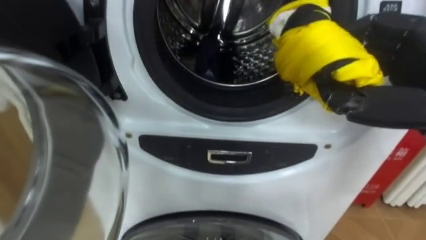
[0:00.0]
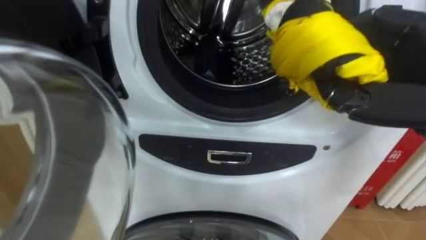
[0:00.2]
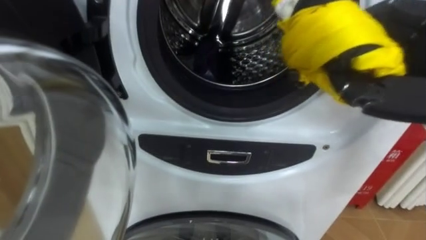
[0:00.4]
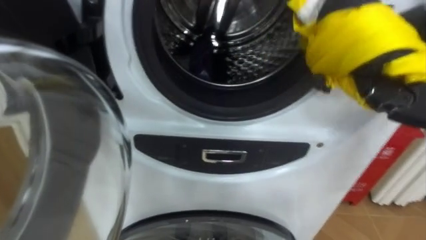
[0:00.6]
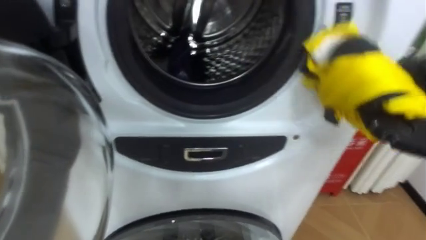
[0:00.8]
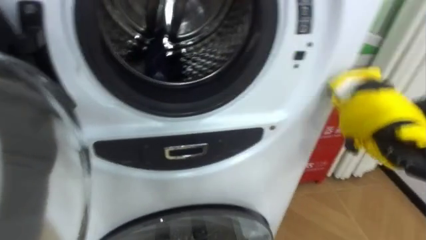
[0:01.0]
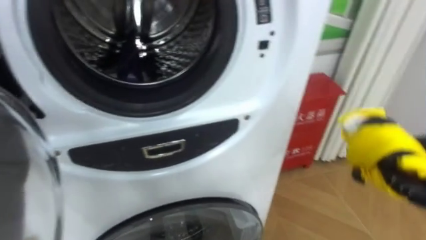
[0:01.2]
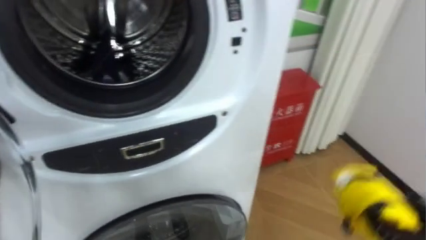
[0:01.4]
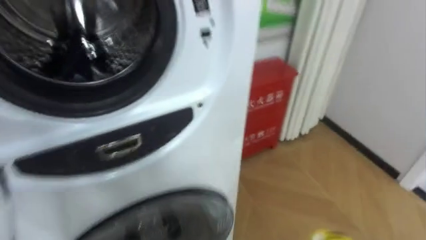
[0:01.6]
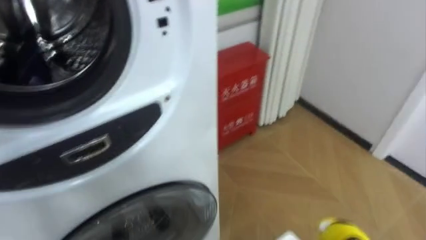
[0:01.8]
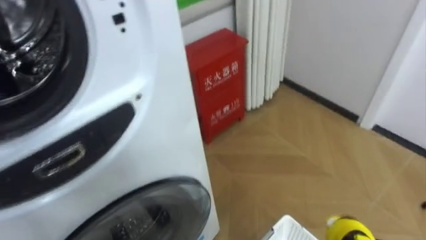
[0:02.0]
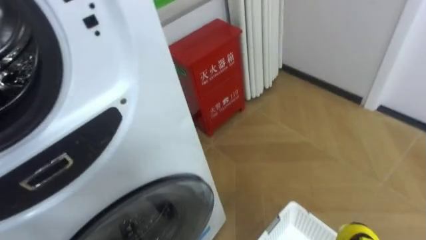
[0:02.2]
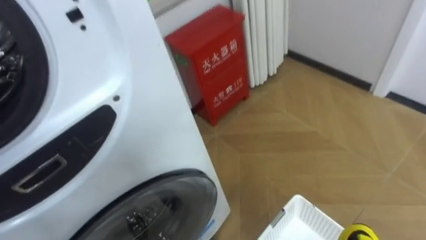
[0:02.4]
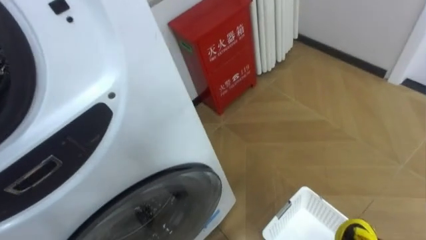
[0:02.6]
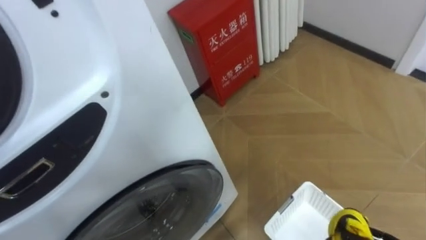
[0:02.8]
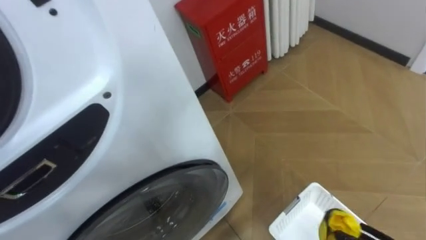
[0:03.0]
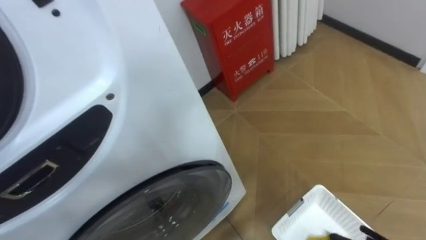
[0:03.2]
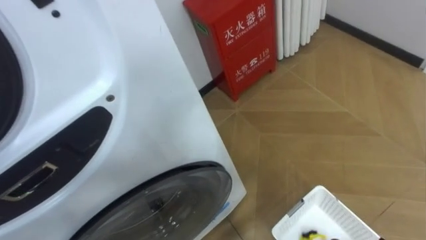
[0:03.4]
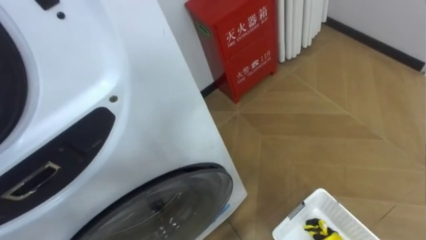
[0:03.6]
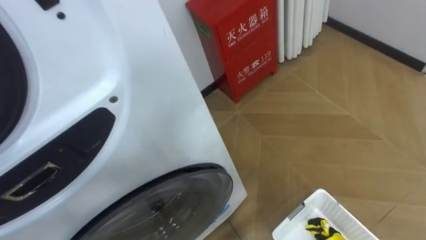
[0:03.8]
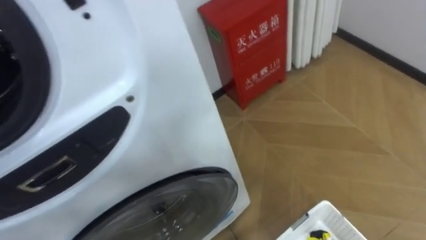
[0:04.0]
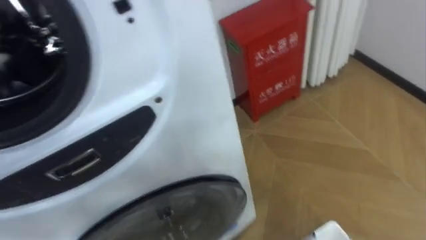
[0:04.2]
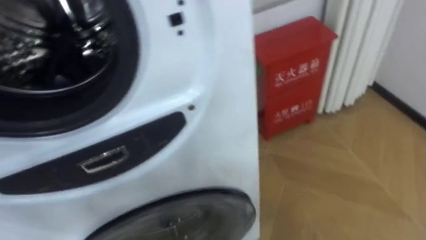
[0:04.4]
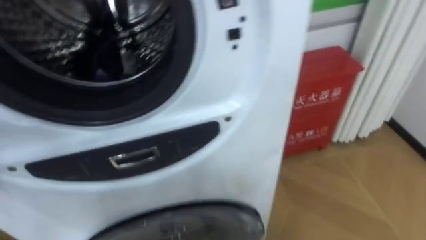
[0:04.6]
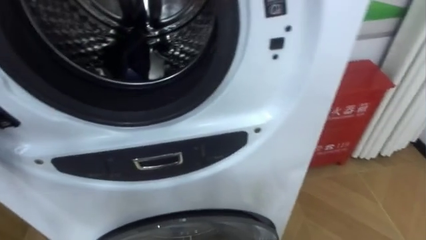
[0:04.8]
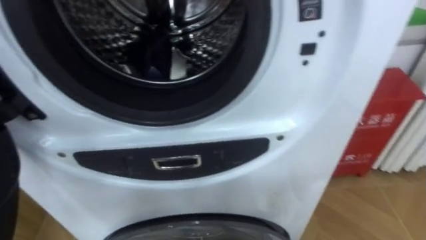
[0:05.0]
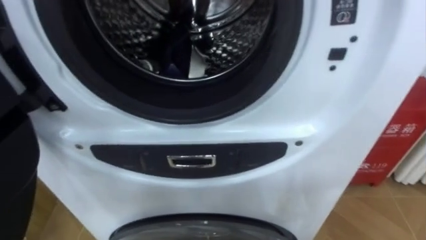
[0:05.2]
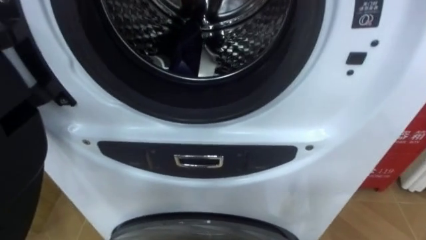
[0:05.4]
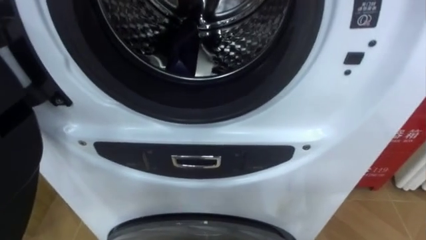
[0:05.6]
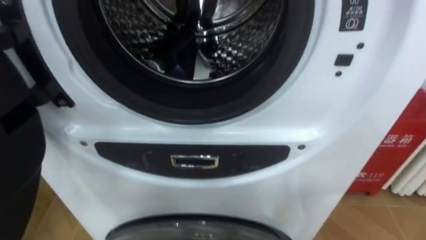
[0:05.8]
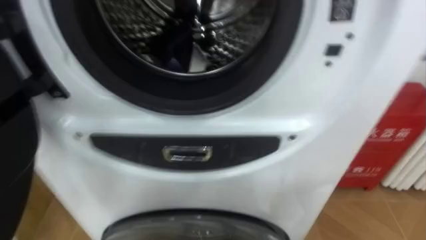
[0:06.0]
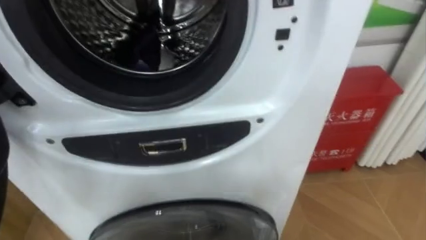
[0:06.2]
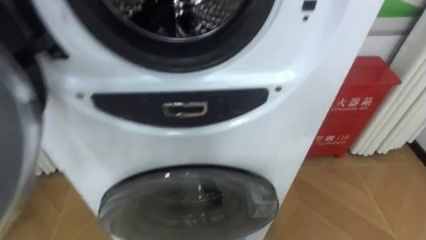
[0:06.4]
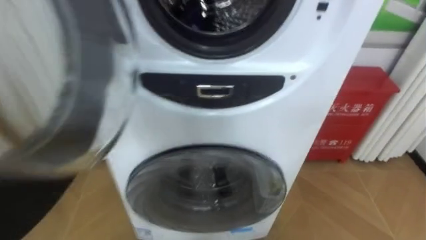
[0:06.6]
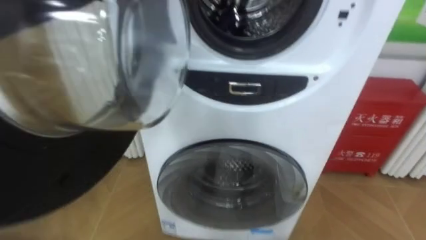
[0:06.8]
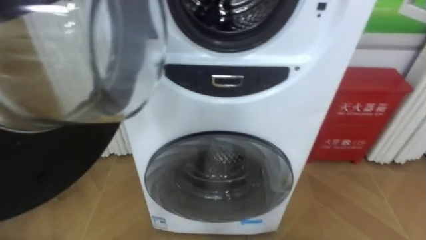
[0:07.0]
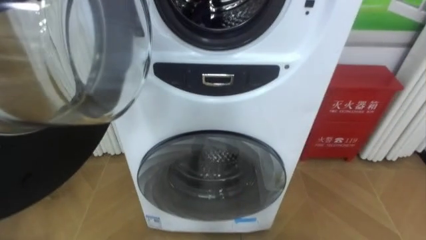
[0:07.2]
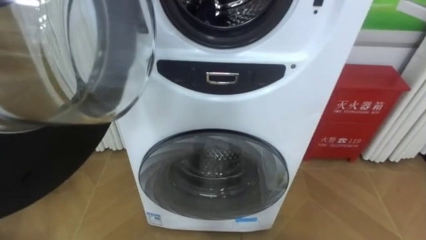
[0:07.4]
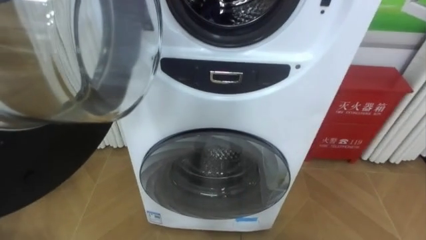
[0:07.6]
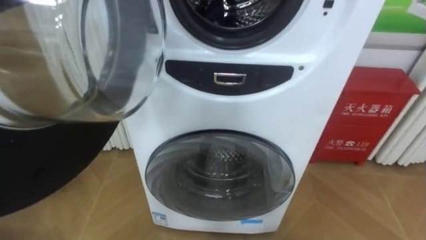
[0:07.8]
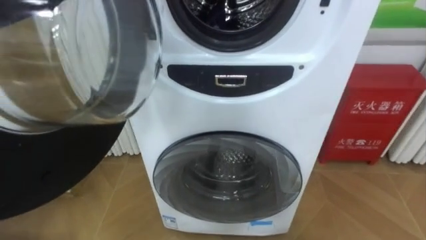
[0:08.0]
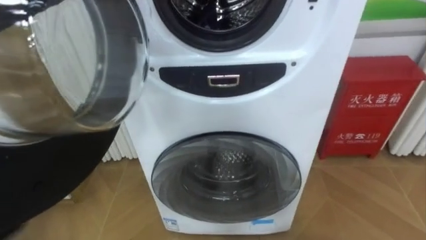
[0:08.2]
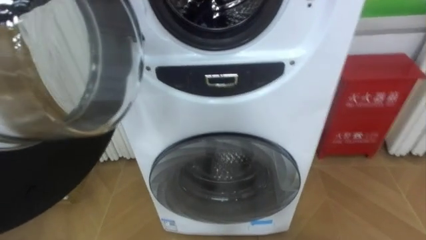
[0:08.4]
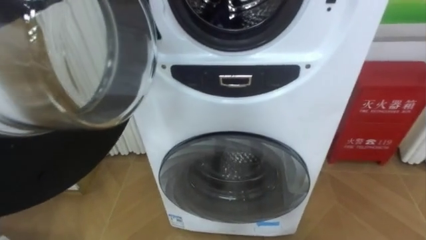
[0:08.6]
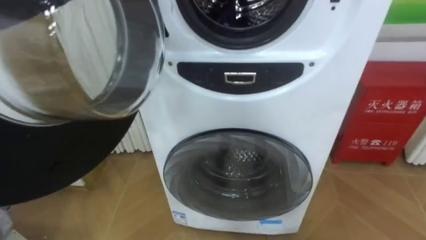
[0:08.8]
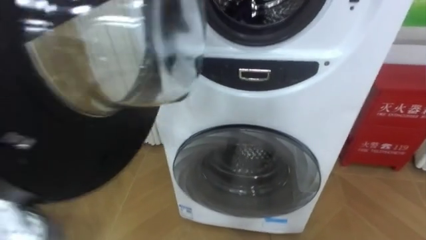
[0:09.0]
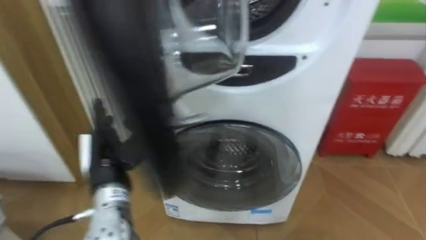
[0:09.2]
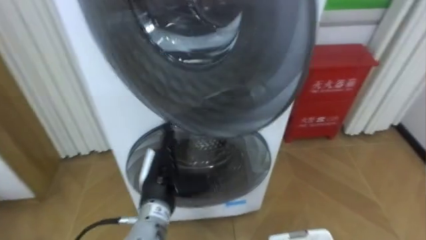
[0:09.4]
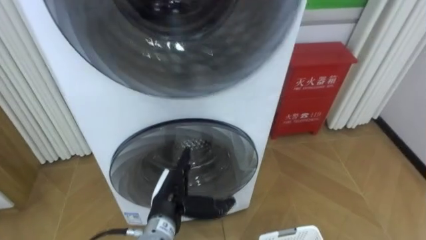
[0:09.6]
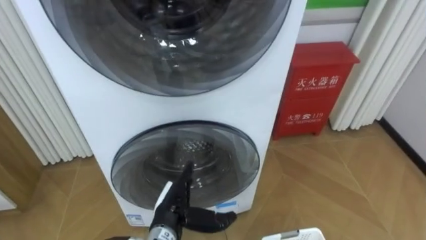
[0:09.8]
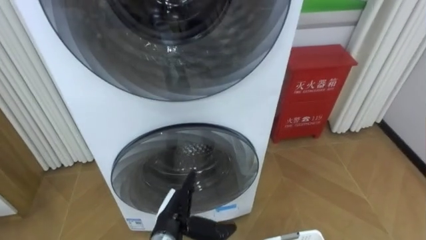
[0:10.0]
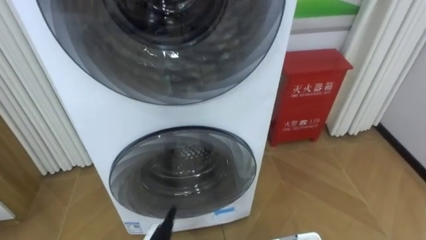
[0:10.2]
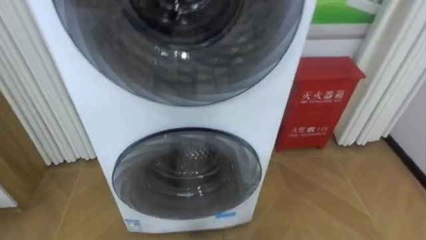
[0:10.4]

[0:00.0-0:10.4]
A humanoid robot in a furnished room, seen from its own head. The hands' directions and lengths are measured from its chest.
Task of the whole recording: Open the washing machine door, take out the yellow clothes, place them in the box on the right, and close the washing machine door.
0:00.0 to 0:01.4: The robot rotates about 20 degrees to its right.

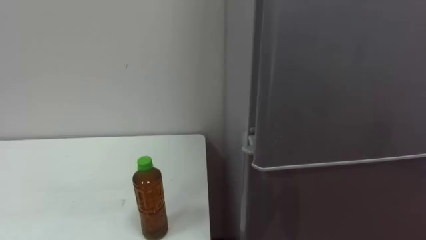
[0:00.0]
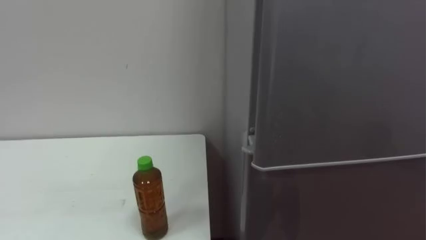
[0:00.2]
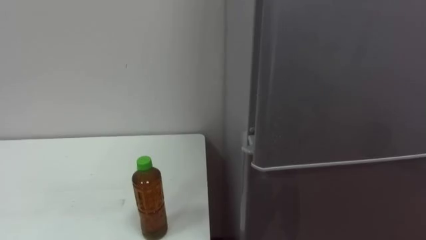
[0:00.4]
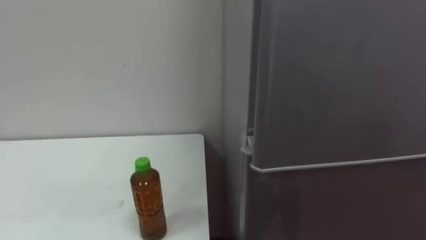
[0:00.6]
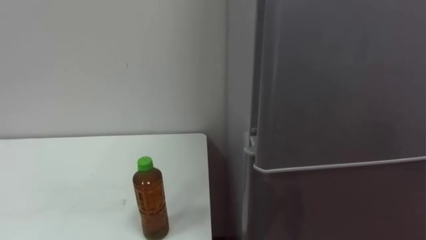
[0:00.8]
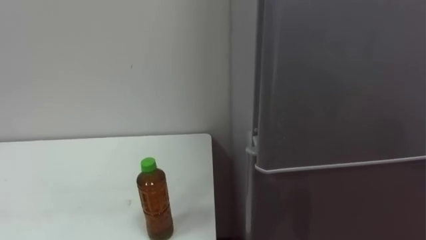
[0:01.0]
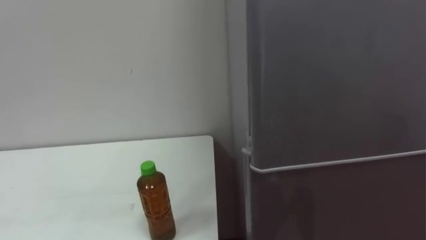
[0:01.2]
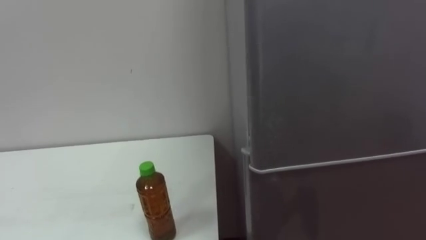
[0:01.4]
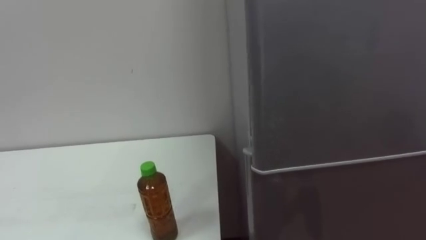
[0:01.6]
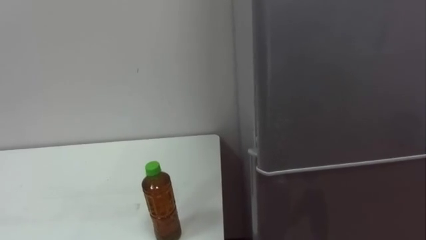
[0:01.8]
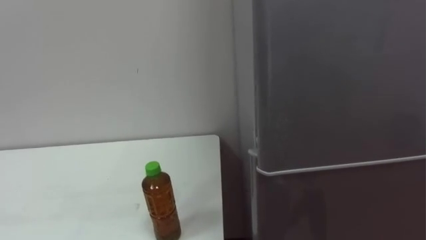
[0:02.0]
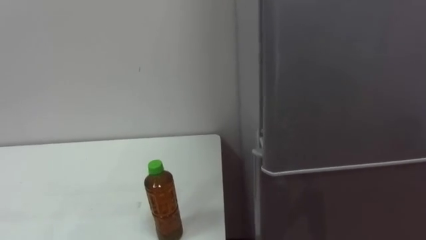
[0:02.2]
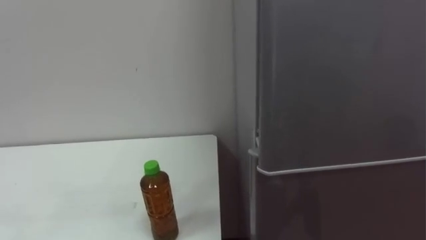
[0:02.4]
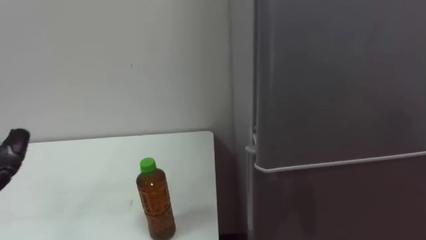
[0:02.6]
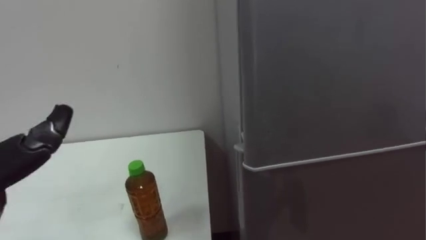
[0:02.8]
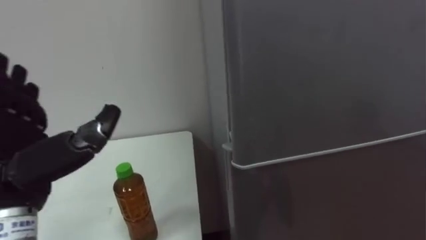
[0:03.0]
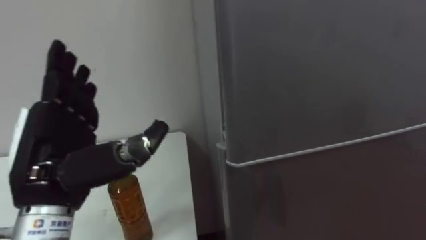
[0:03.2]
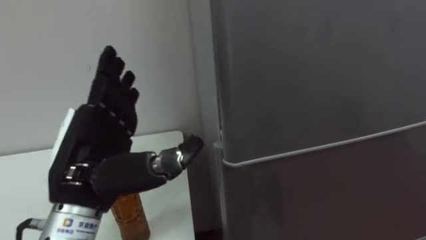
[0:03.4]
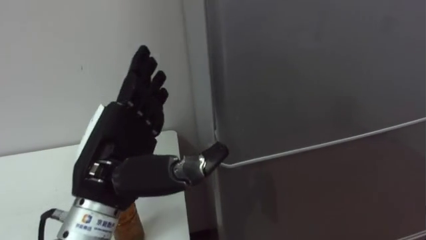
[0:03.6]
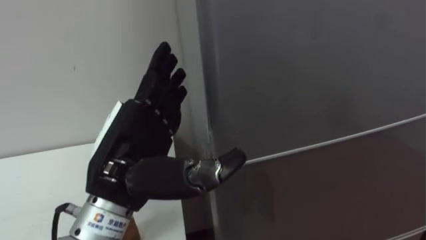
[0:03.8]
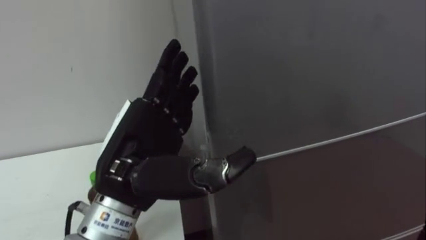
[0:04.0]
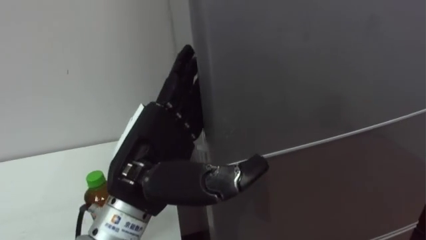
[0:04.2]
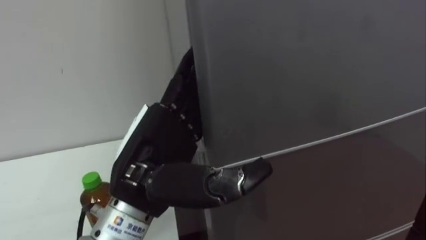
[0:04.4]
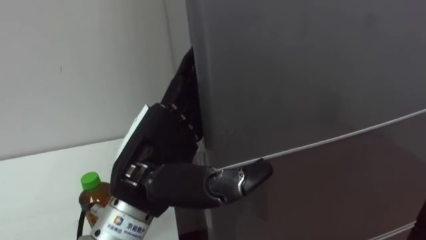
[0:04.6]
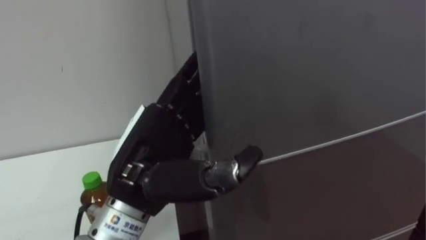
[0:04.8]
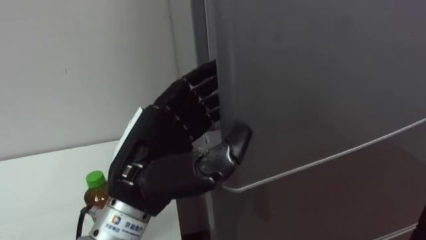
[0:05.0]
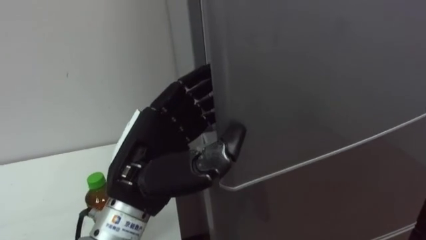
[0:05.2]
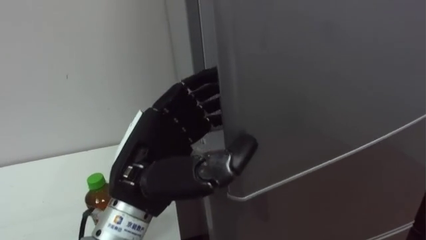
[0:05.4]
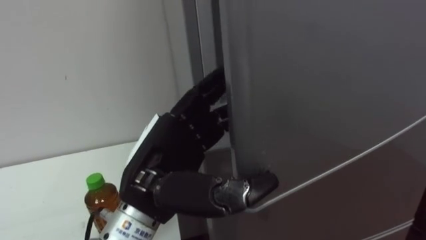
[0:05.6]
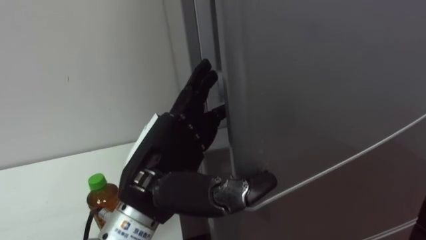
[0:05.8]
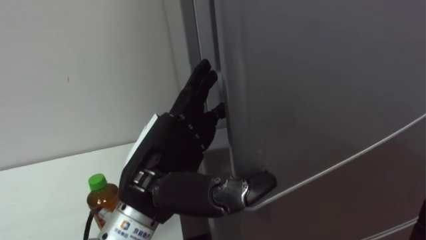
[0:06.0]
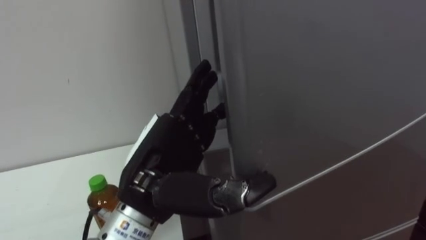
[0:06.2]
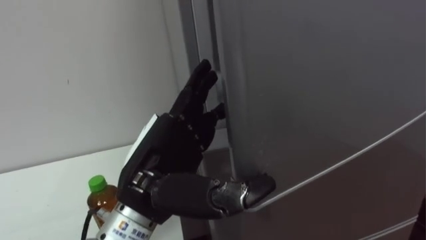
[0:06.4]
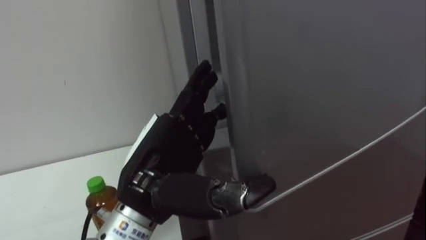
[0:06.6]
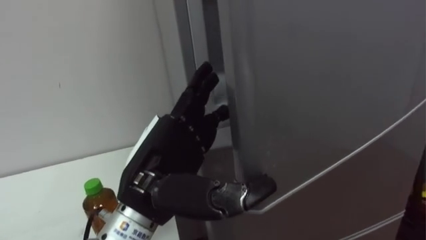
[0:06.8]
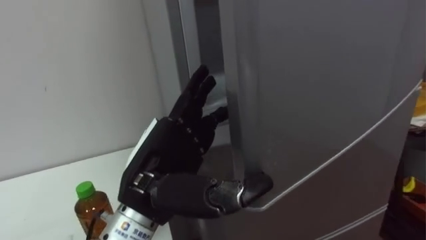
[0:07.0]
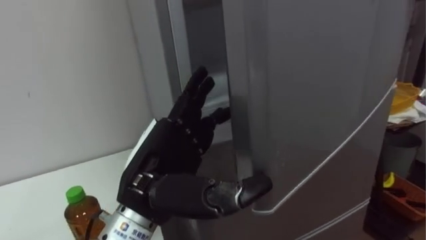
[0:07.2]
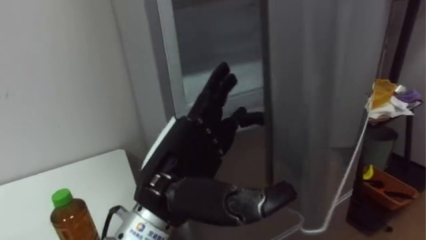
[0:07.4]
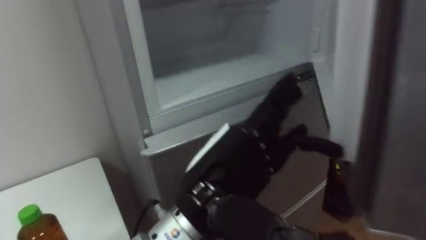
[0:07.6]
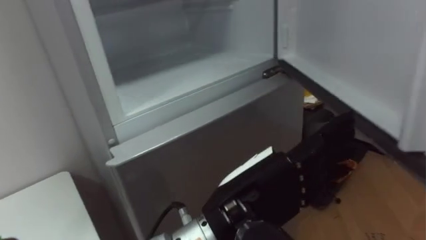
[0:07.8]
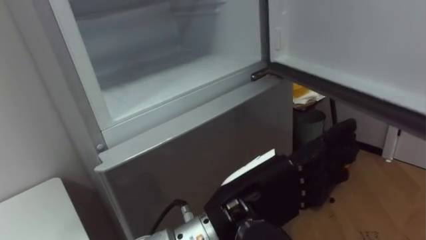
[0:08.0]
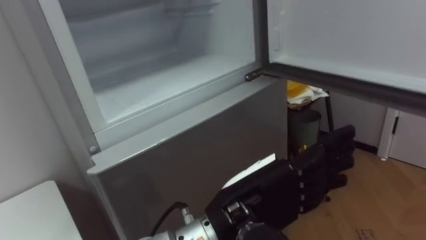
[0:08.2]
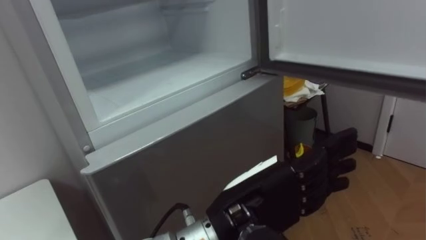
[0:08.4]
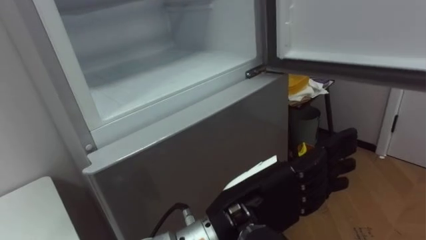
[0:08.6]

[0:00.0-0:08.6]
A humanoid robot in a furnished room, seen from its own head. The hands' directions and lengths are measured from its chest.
Task of the whole recording: Open the upper refrigerator door, put the drink from the table into the refrigerator, and then close the refrigerator door.
0:04.4 to 0:05.8: The left hand closes and opens again.
0:07.2 to 0:08.6: The left hand travels to the right by about 10 cm.
